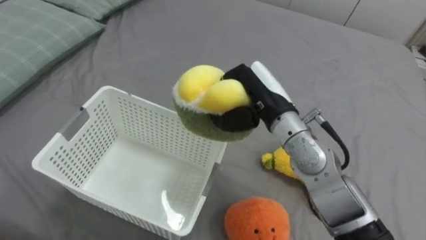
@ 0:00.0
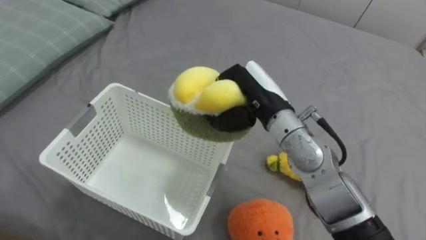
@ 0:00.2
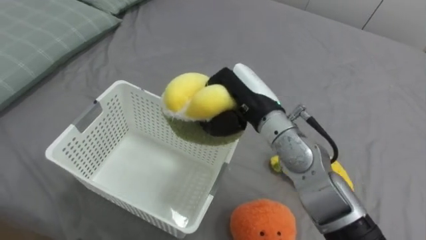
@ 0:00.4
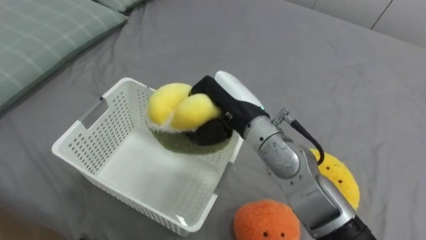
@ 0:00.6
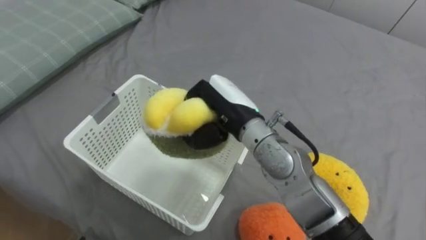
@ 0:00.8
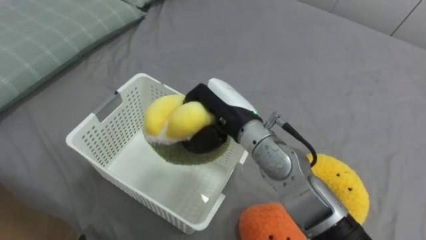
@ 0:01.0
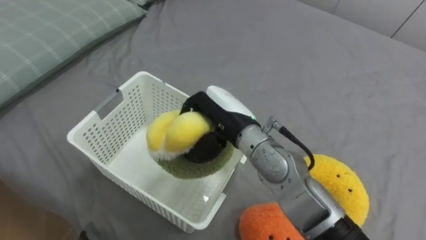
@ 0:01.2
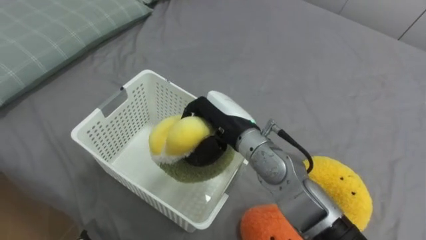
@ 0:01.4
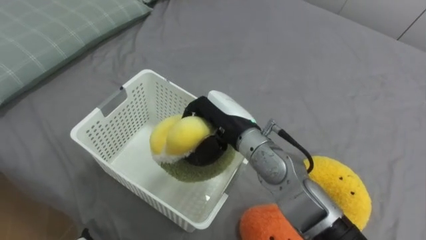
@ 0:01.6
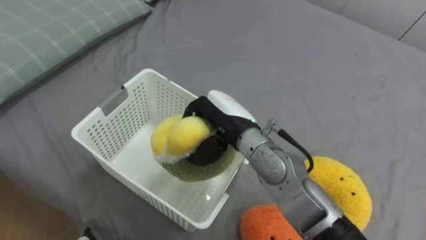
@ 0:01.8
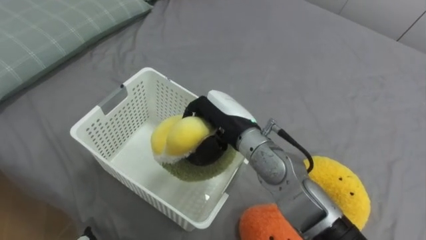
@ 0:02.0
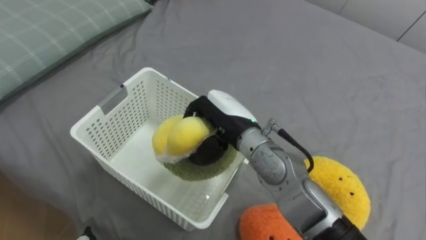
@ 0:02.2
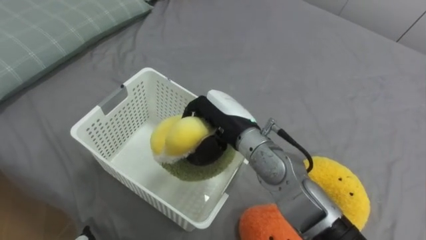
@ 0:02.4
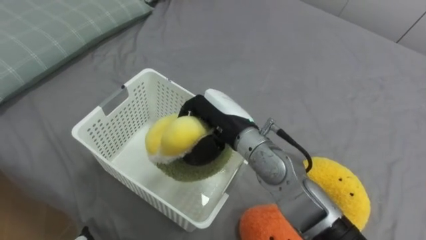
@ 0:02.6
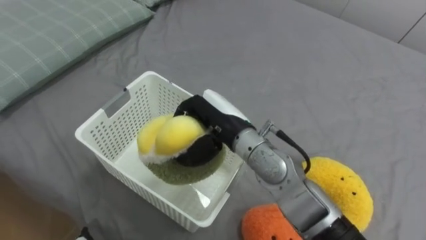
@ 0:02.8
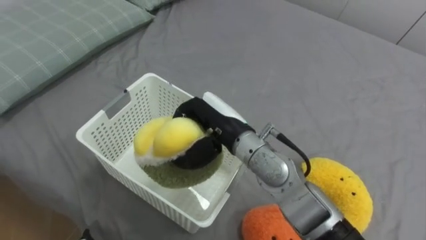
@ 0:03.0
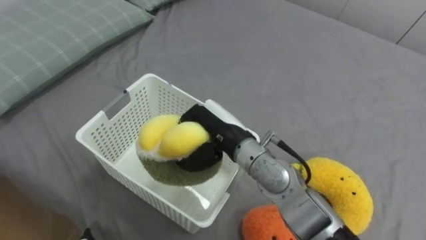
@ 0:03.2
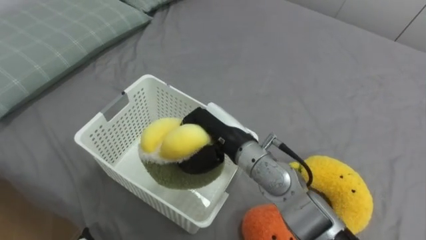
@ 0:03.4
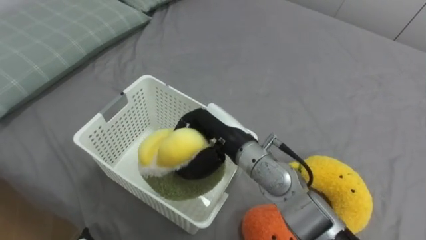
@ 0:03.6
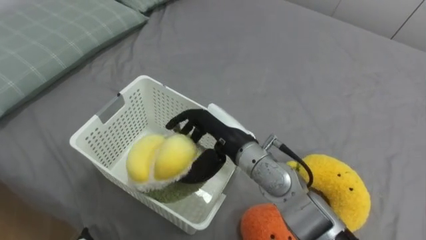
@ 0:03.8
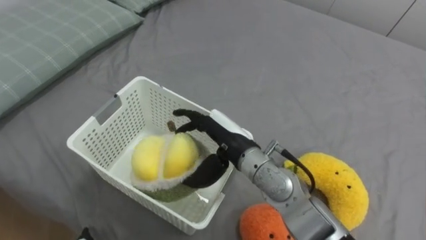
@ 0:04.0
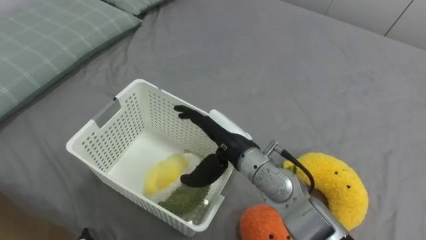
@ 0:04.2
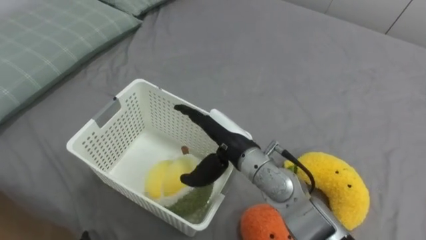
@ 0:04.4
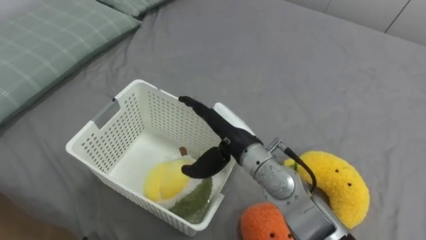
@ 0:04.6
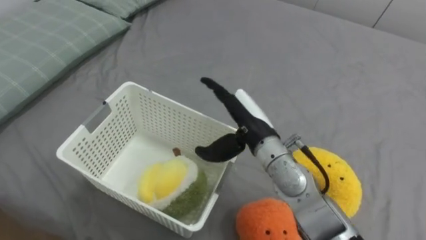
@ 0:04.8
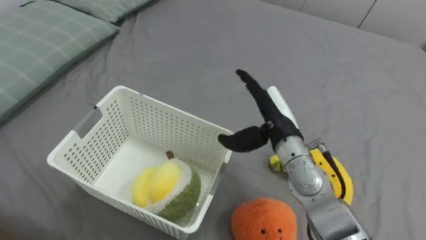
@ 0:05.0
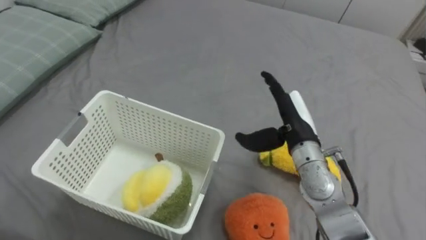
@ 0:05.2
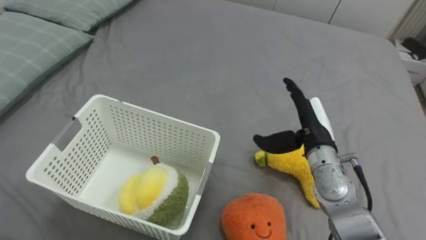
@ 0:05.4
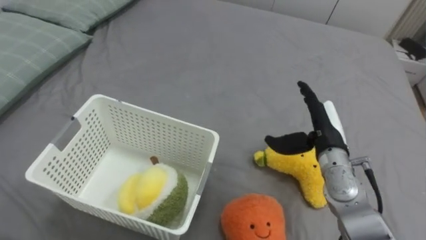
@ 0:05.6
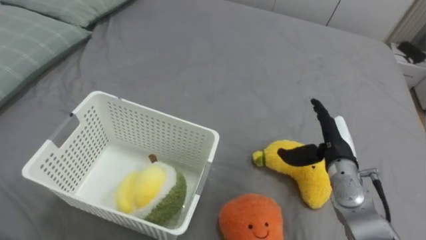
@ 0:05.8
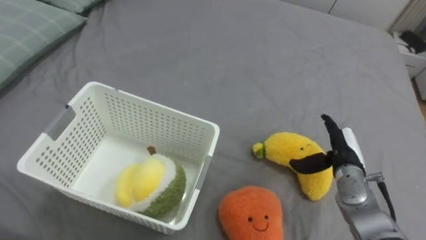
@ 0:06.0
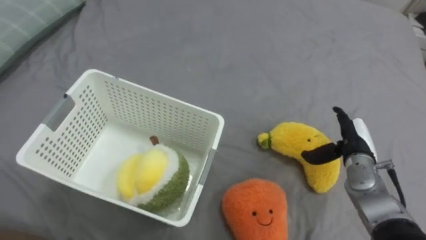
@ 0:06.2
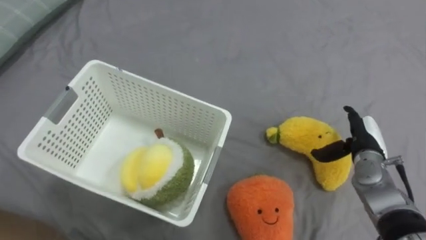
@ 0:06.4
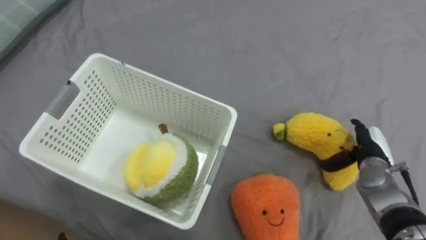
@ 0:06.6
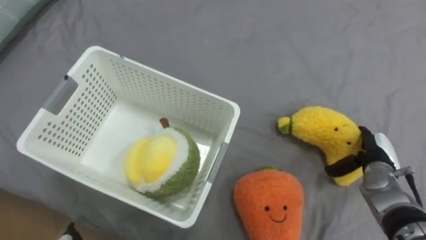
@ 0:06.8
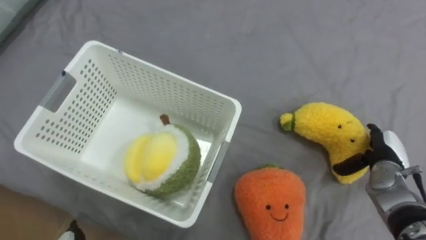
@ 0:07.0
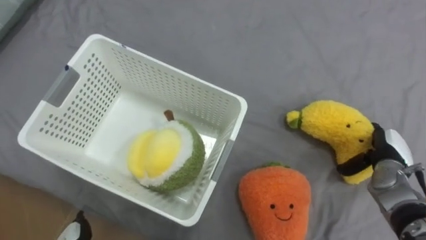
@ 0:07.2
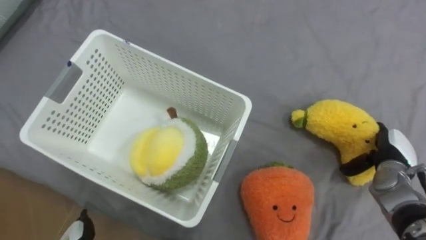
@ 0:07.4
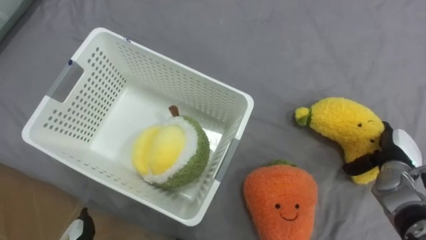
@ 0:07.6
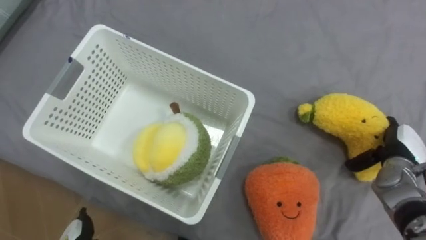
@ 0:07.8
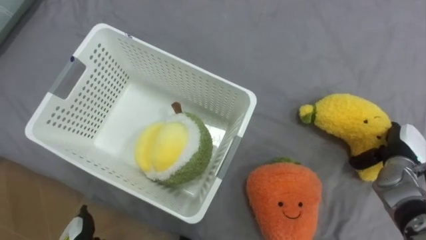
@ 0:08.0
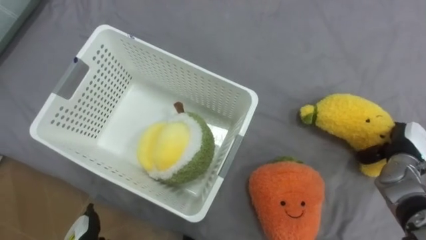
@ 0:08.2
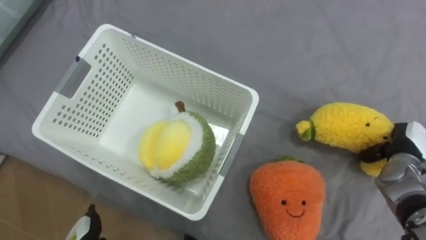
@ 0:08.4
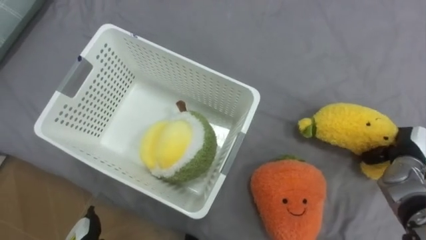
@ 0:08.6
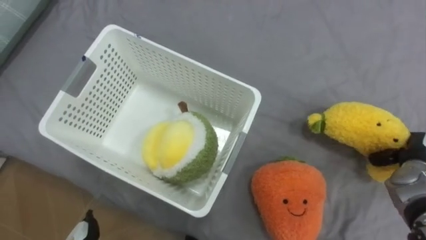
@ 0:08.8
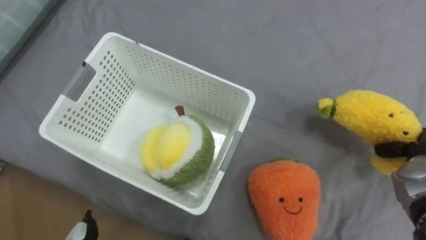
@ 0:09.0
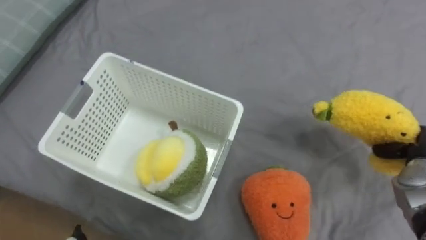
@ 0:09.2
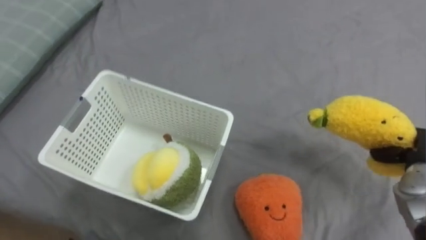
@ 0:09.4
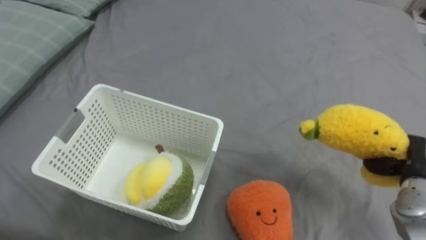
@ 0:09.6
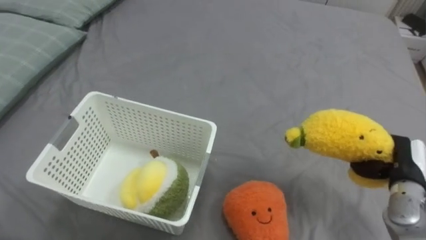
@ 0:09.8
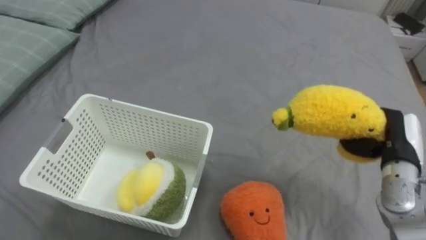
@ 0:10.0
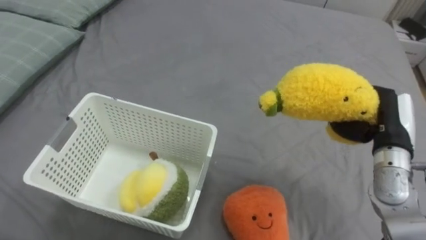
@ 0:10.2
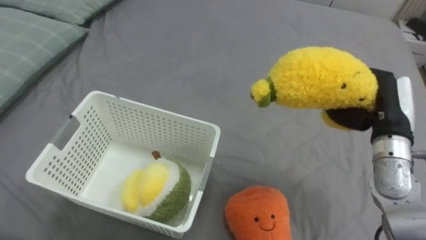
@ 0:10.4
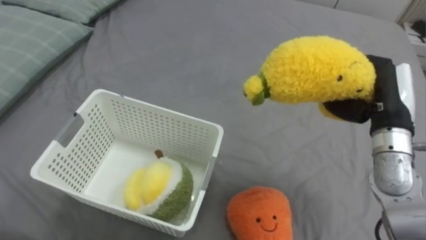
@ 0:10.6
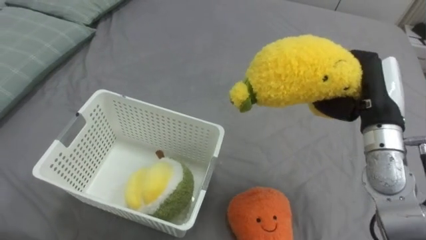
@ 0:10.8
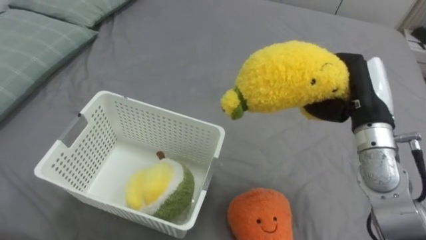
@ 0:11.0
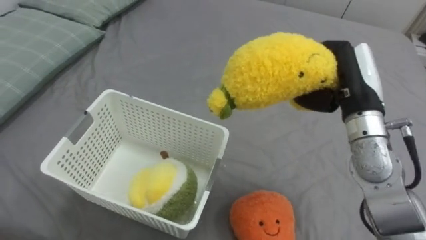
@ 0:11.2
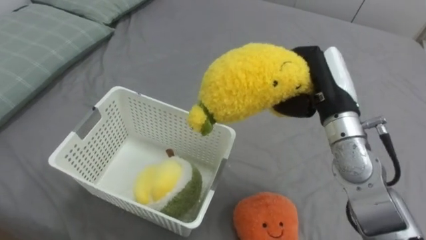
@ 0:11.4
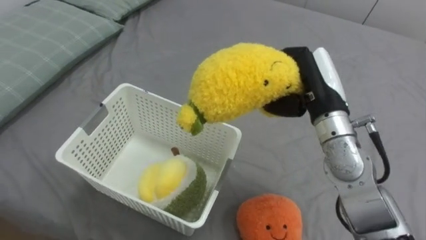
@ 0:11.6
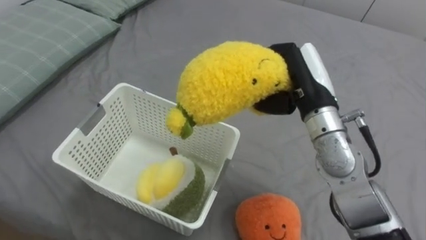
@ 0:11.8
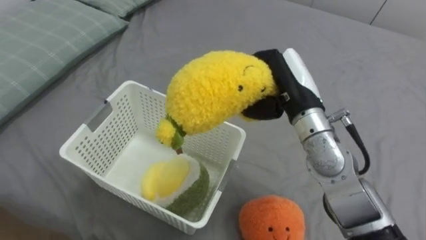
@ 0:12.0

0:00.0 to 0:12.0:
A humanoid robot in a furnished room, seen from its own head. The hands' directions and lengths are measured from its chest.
Task of the whole recording: Put the toys on the bed into the basket on the left.
0:00.0 to 0:01.6: The right hand shifts approximately 5 cm to the left.
0:03.0 to 0:04.4: The right hand opens its fingers.
0:04.4 to 0:06.0: The right hand is displaced to the right by roughly 25 cm.
0:06.0 to 0:07.6: The right hand heads to the right, covering roughly 10 cm.
0:07.6 to 0:09.0: The right hand ends up approximately 5 cm from where it was, and closes up.
0:09.0 to 0:10.4: The right hand moves to the left and upward, approximately 15 cm.
0:10.4 to 0:12.0: The right hand travels to the left by about 15 cm.

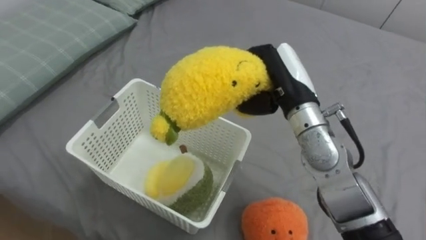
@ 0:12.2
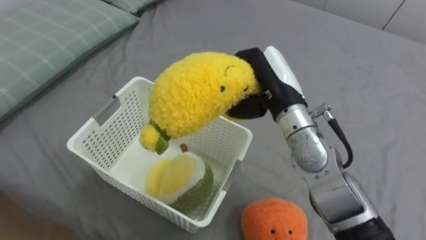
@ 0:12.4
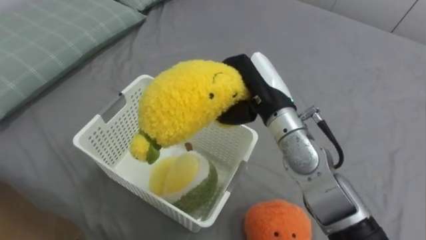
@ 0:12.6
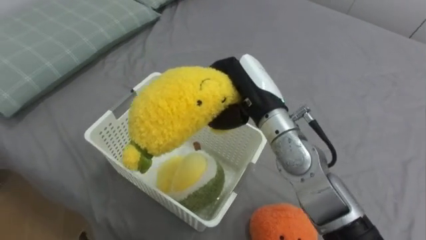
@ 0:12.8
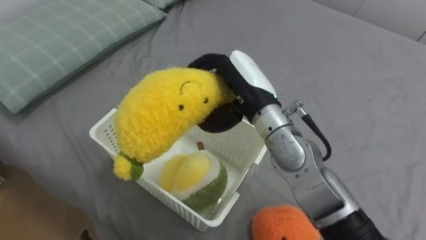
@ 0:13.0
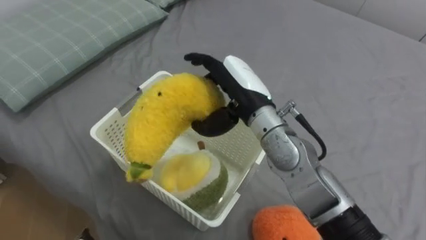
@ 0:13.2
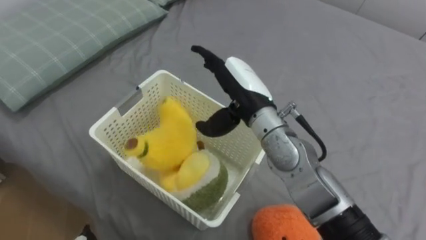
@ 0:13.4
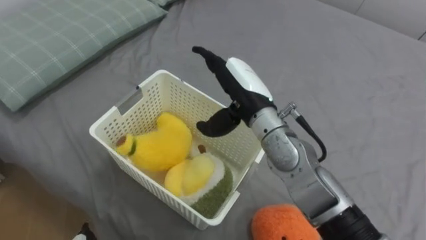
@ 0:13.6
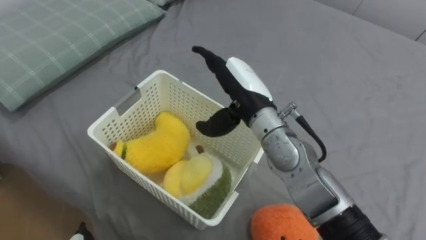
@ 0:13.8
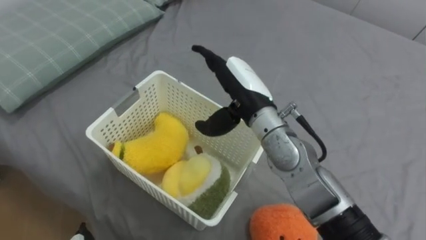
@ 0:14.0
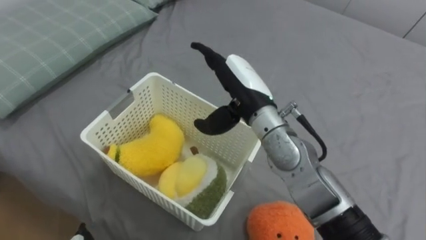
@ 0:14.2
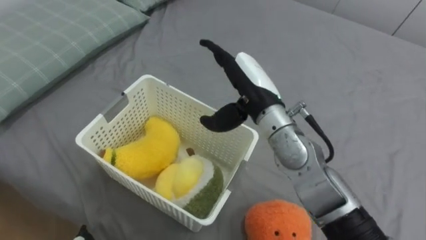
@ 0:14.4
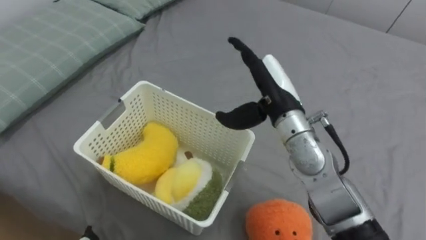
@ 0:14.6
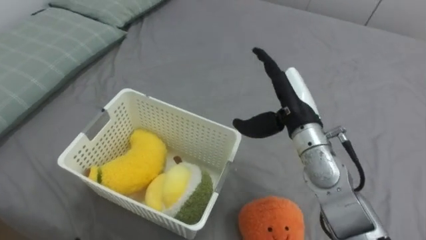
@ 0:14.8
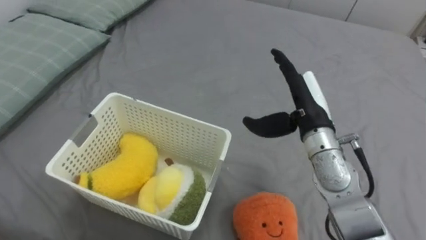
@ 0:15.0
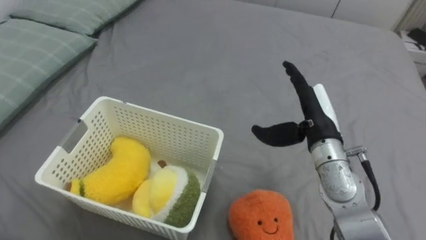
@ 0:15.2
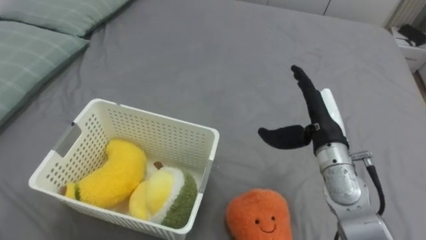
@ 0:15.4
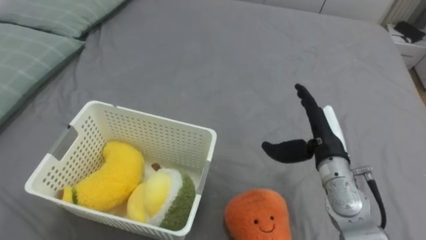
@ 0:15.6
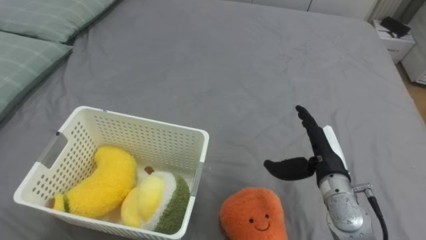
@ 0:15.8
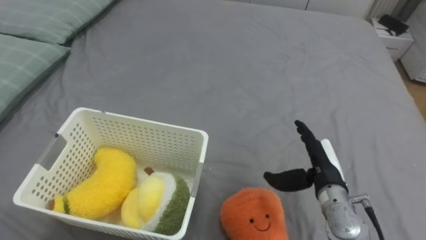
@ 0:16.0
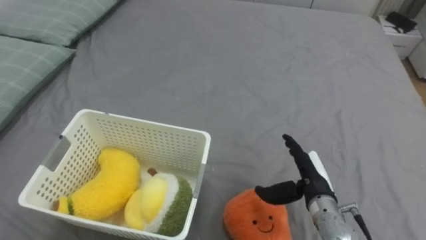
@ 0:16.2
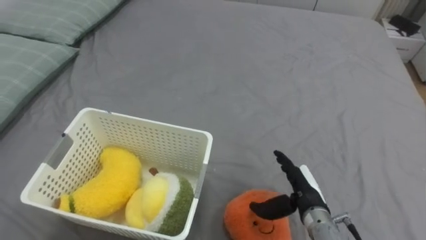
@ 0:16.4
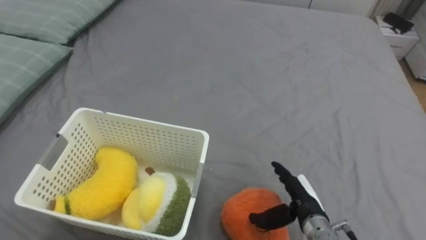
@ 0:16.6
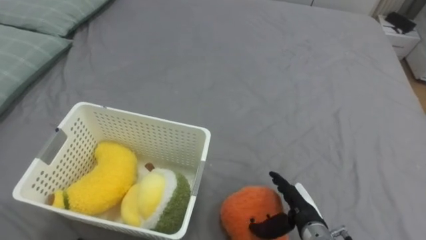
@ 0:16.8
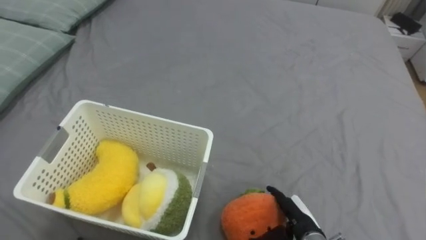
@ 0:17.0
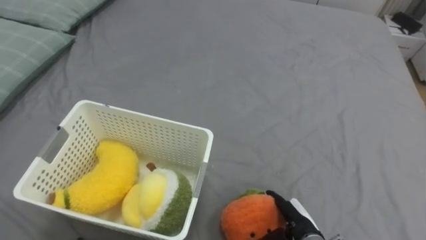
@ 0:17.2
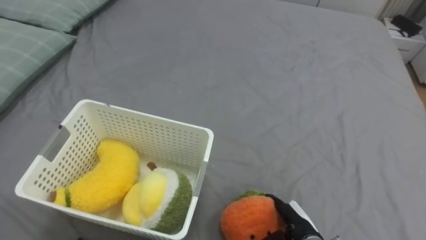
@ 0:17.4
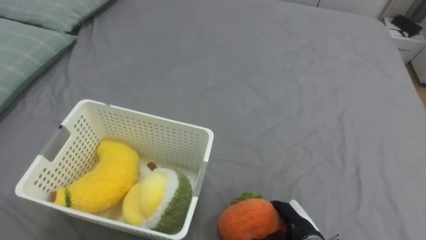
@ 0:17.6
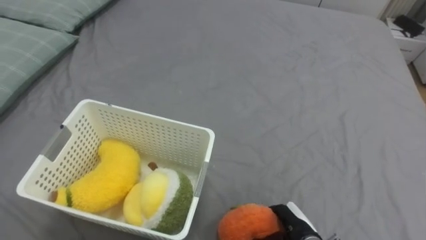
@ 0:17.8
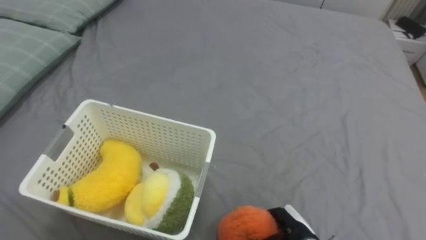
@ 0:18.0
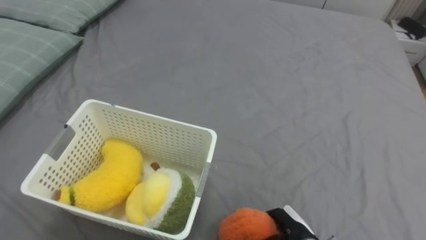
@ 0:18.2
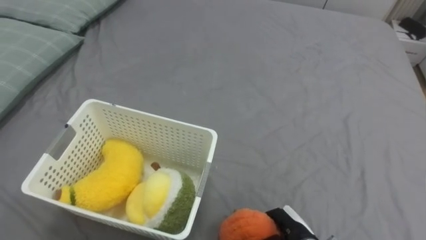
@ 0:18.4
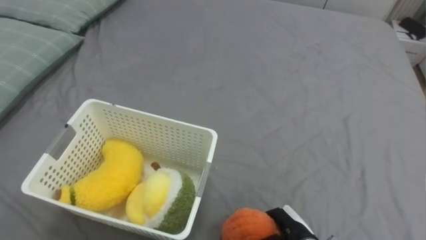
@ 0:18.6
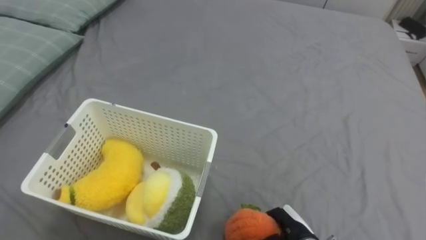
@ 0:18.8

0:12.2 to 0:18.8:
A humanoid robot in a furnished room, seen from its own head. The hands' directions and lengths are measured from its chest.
Task of the whole recording: Put the toys on the bed into the basket on the left.
0:12.2 to 0:13.8: The right hand shifts about 5 cm to the left, and opens.
0:13.8 to 0:15.4: The right hand is displaced to the right by some 15 cm.
0:15.4 to 0:17.2: The right hand heads downward and backward, covering some 25 cm.
0:17.2 to 0:18.8: The right hand closes up.
